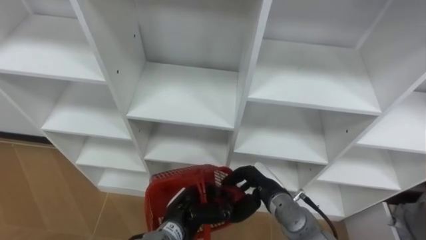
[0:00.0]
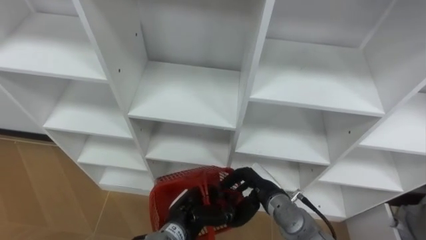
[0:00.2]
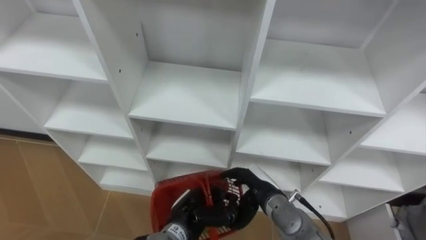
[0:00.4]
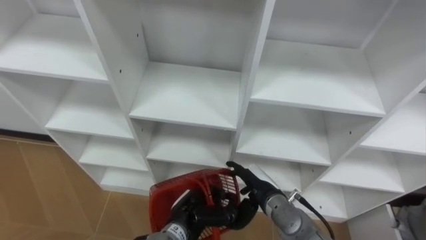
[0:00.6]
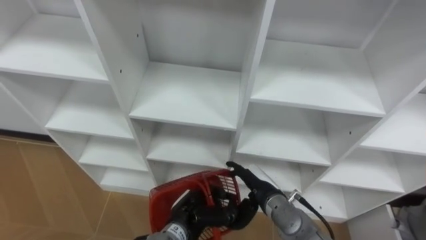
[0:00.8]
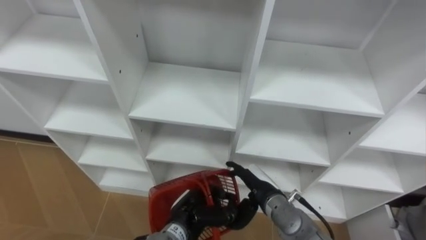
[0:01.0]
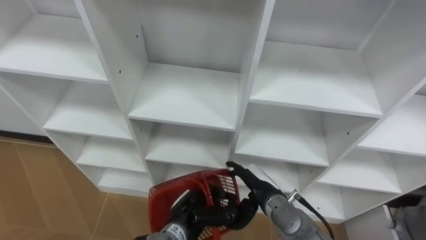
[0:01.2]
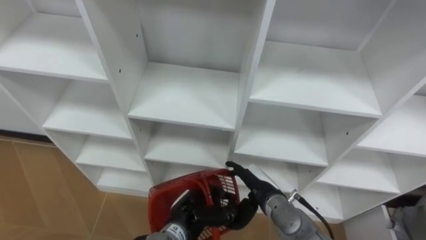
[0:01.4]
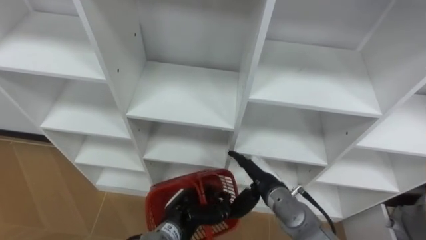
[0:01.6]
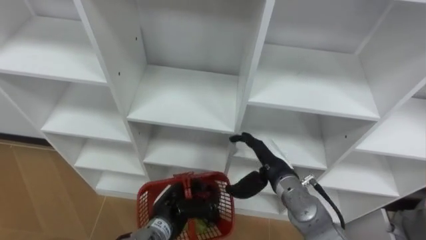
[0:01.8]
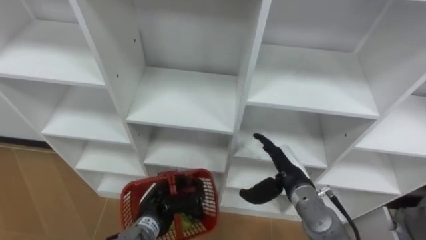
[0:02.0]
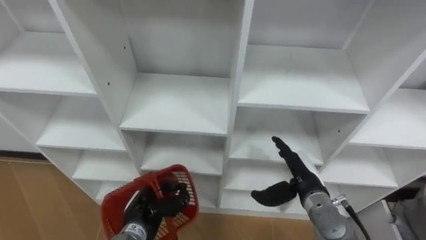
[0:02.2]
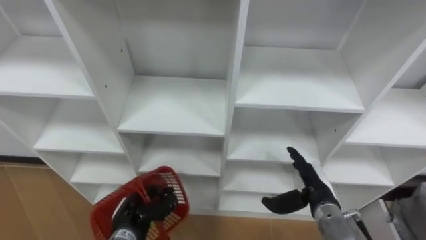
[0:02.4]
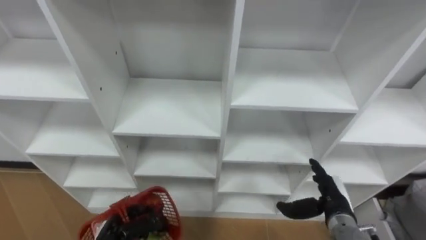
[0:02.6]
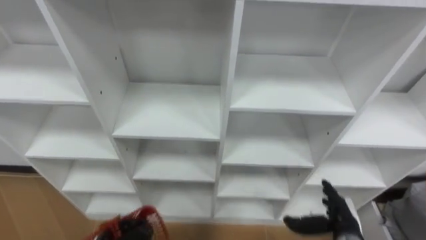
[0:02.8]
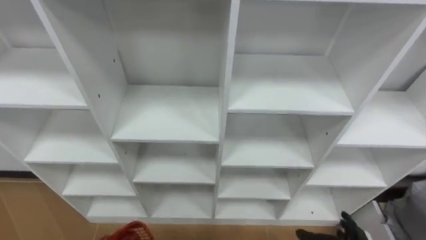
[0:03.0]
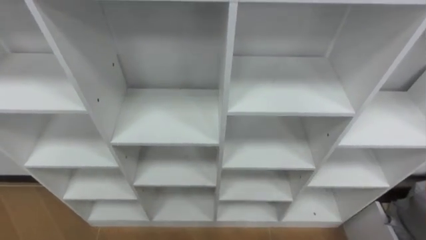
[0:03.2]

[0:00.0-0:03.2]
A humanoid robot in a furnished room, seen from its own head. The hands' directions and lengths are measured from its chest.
Task of the whole recording: Hold the basket and collect the fruits from 3 different cells of the closet into it.
0:00.0 to 0:01.6: The right hand opens its fingers.

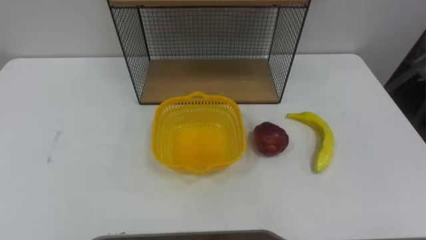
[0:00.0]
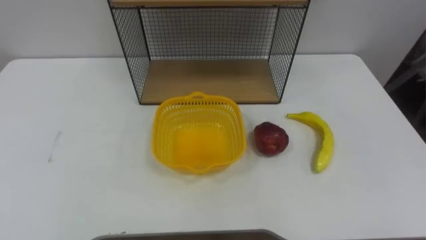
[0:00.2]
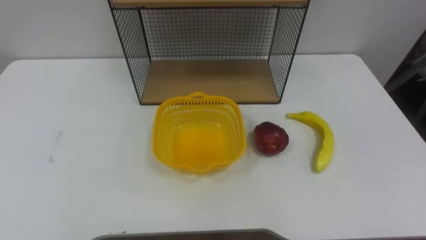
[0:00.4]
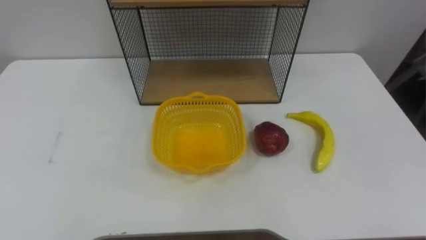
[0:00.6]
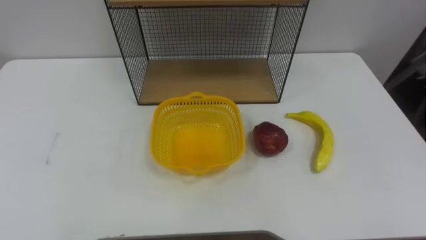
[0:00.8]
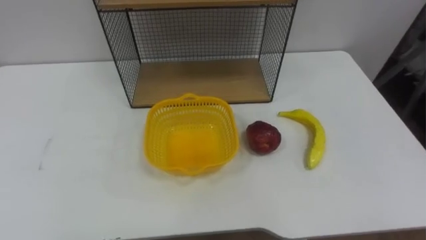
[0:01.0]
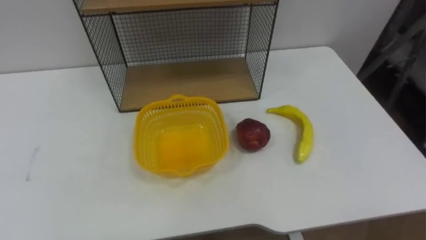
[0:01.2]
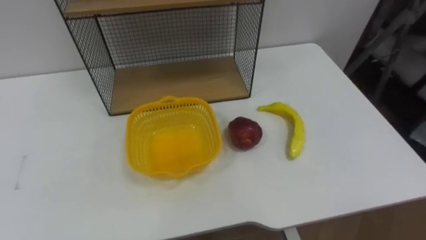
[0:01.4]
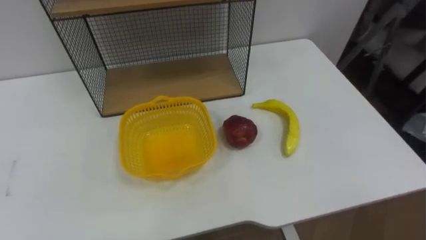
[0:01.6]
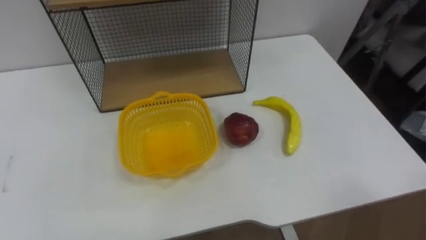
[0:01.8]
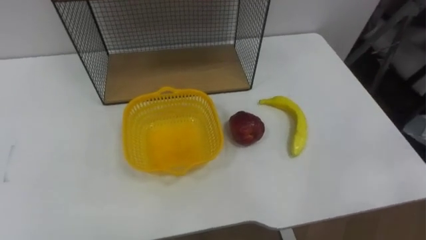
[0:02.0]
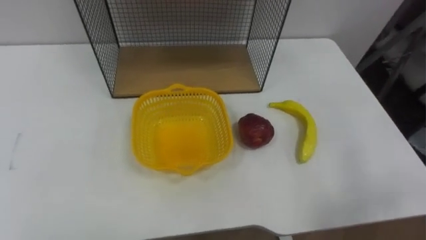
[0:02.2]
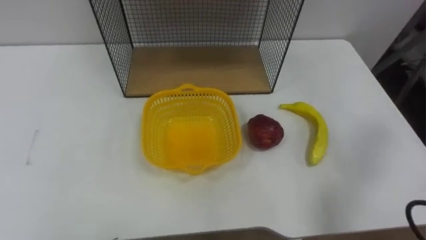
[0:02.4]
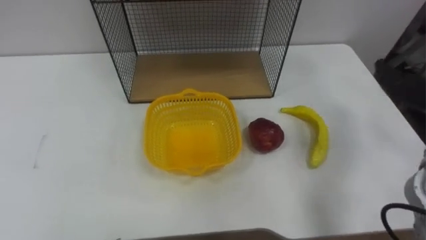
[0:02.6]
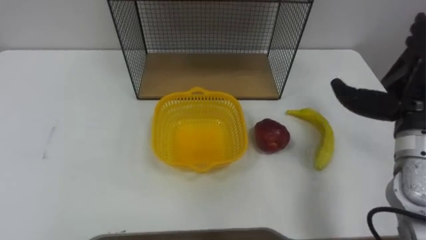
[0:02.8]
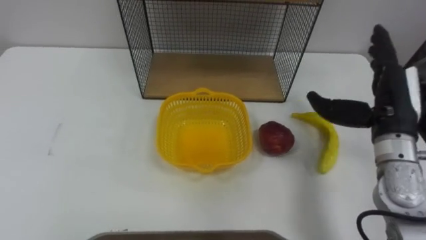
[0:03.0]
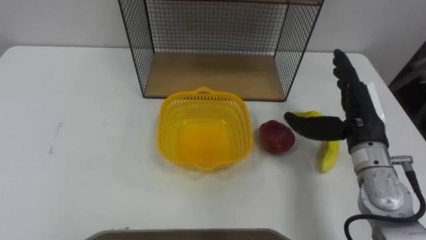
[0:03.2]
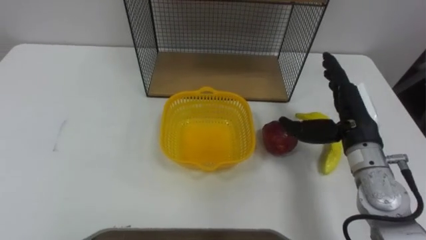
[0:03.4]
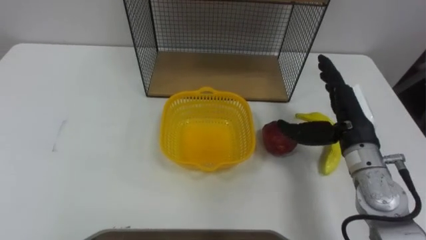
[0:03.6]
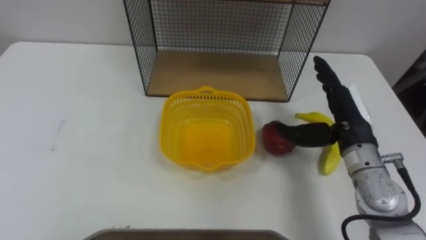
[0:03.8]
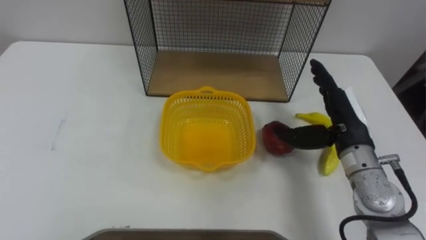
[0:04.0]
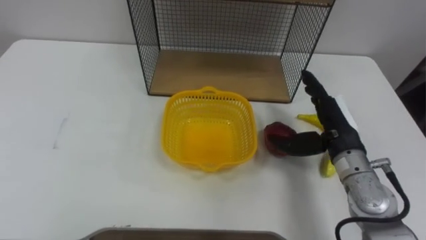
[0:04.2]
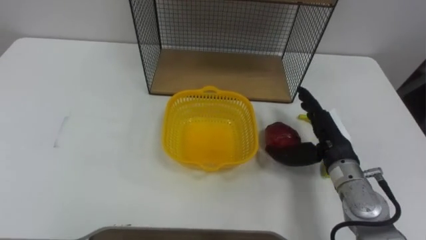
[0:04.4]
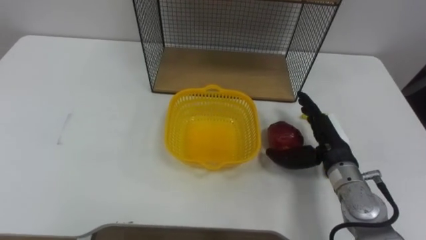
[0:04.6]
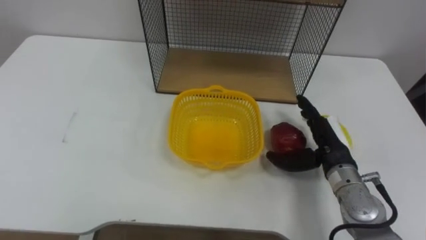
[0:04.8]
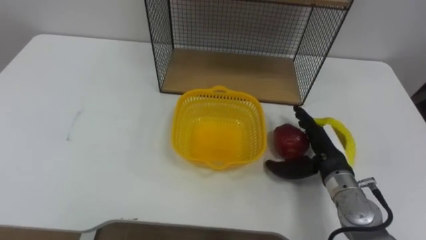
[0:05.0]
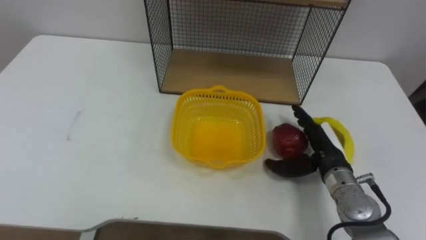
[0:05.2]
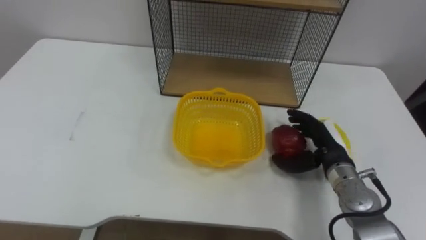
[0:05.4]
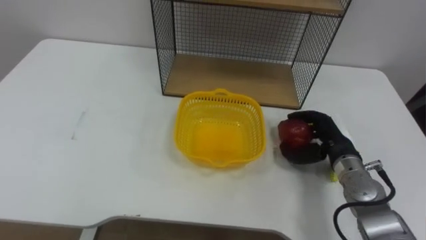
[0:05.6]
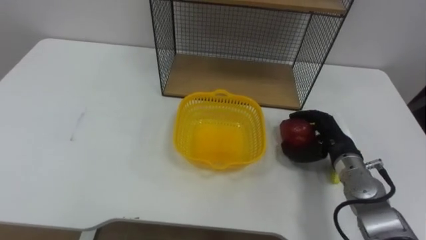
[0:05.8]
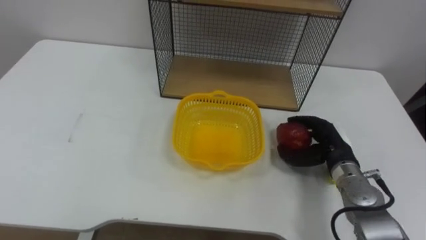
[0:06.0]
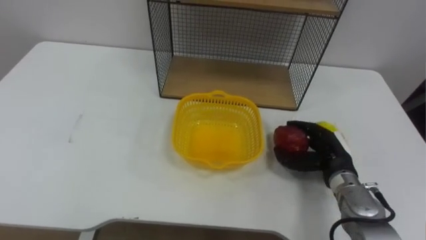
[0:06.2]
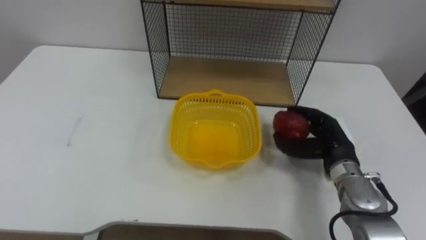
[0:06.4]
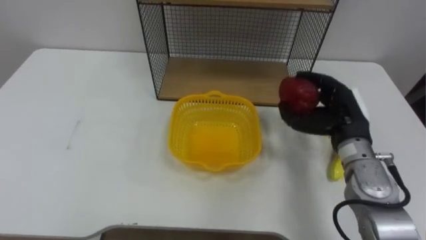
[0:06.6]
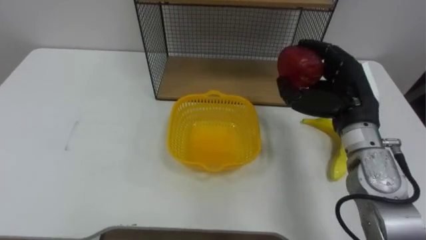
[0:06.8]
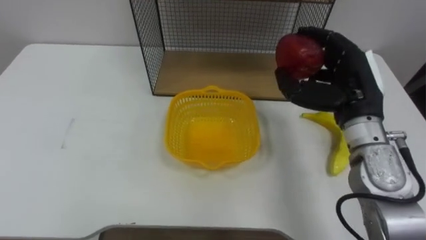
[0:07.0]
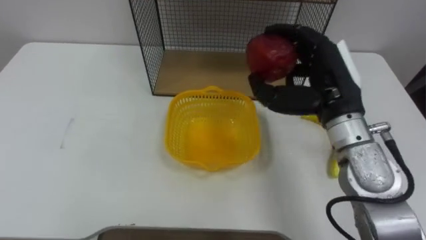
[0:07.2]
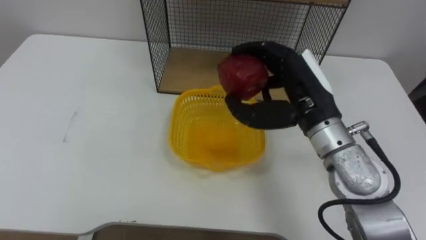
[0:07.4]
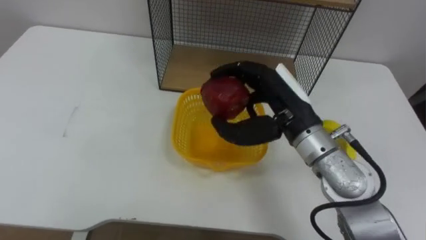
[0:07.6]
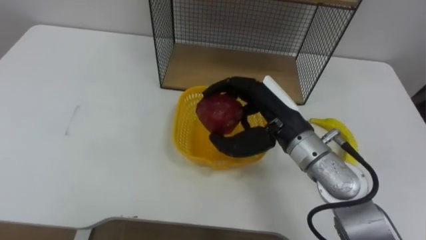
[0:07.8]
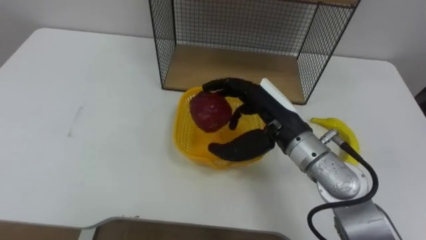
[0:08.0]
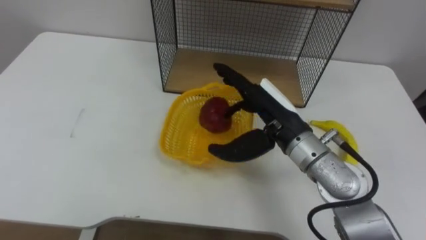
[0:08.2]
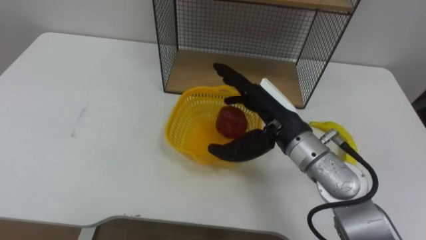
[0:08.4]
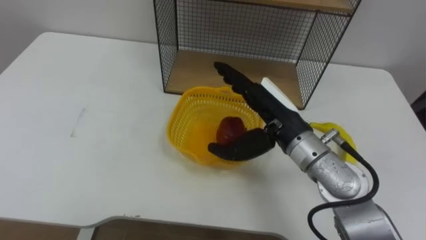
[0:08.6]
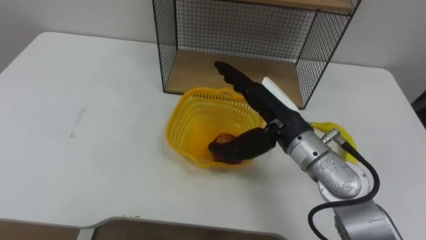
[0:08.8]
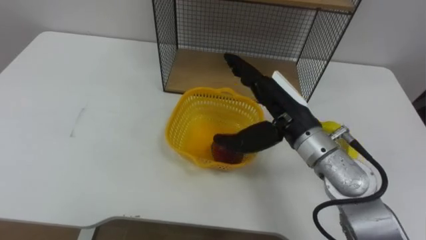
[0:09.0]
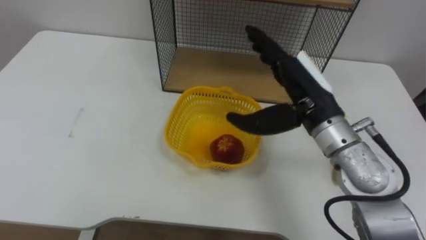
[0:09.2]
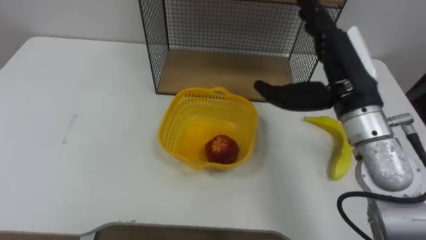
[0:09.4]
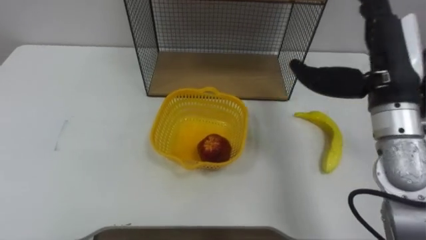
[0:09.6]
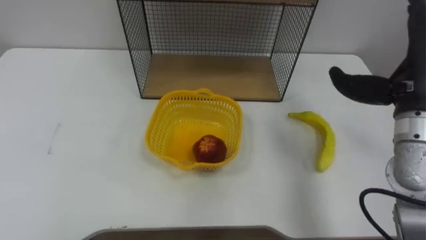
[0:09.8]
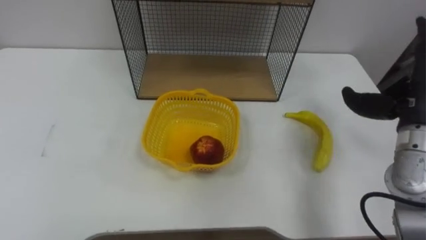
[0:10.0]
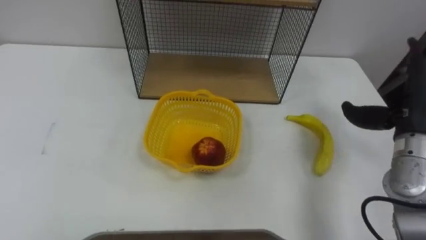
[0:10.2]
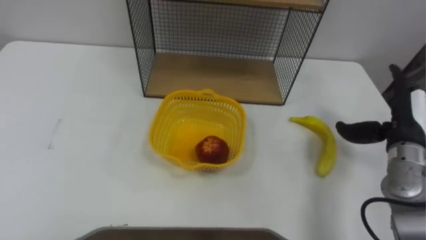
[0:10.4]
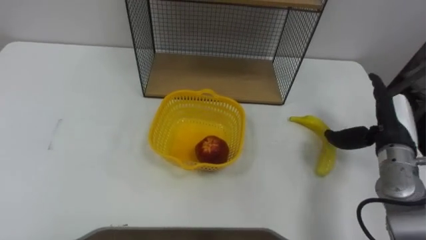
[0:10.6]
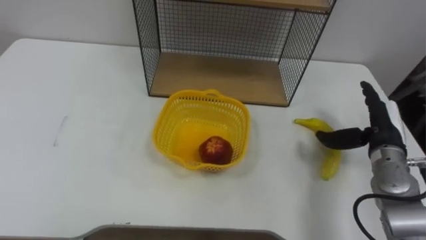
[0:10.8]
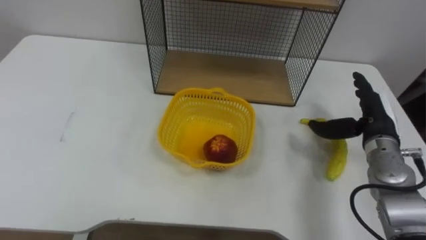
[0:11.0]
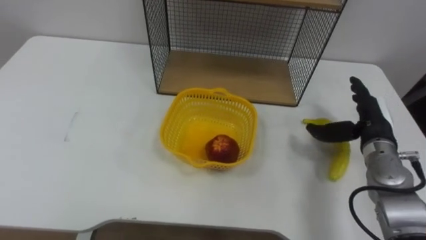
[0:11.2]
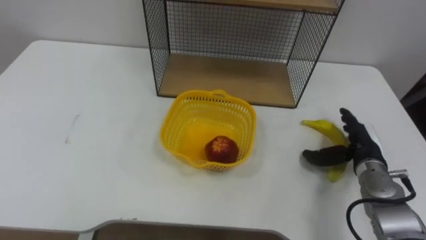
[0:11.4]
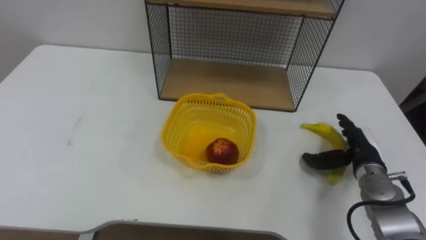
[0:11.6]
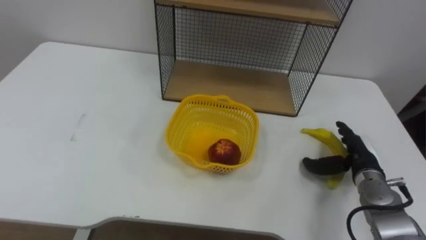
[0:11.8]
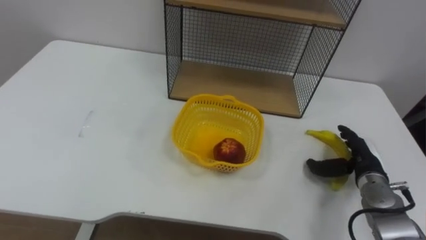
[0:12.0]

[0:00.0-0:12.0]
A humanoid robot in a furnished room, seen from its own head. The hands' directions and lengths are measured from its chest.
Task of the whole recording: Put the fruit on the table into the basket, then place the basket on the shelf.
0:03.0 to 0:04.4: The right hand heads downward and to the left, covering roughly 10 cm.
0:04.4 to 0:06.0: The right hand shifts some 5 cm downward, and closes up.
0:06.0 to 0:07.6: The right hand heads upward and to the left, covering about 20 cm.
0:07.6 to 0:09.0: The right hand opens up.
0:10.4 to 0:12.0: The right hand shifts some 15 cm downward.

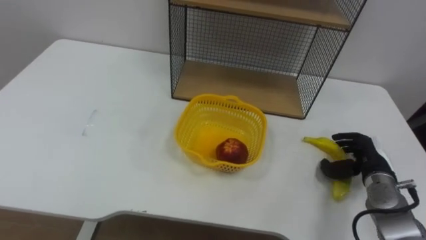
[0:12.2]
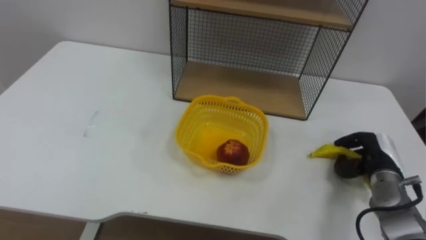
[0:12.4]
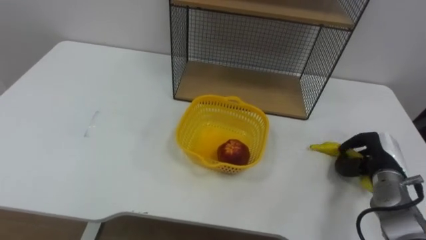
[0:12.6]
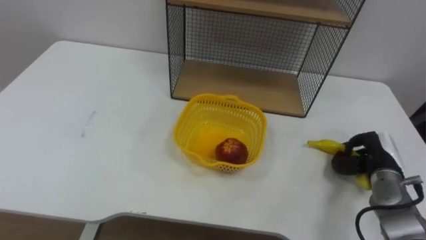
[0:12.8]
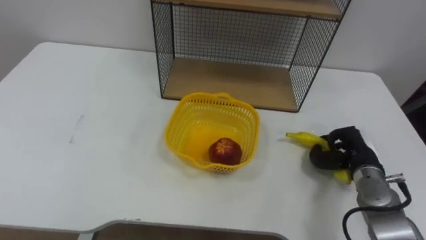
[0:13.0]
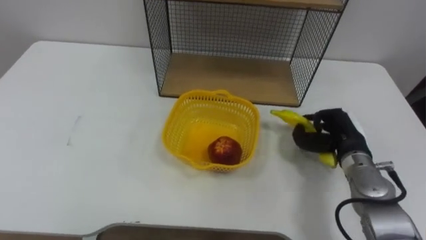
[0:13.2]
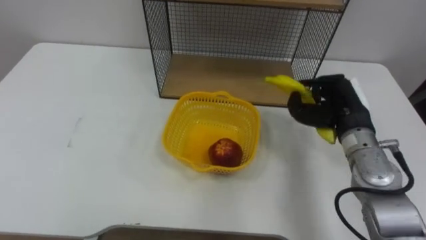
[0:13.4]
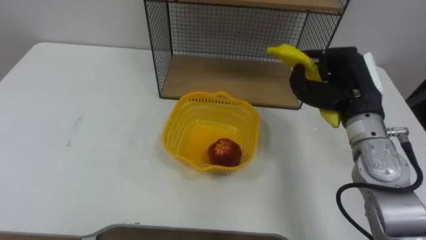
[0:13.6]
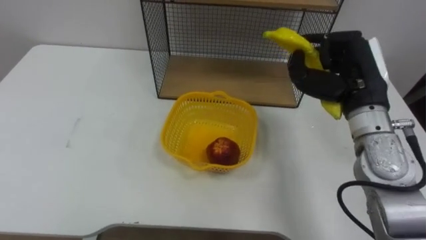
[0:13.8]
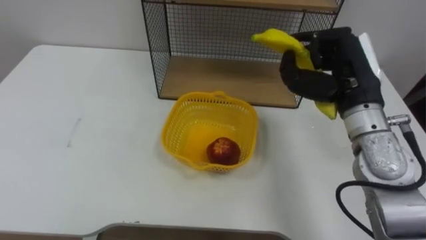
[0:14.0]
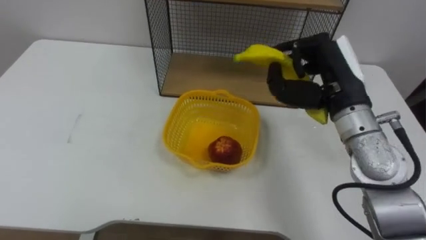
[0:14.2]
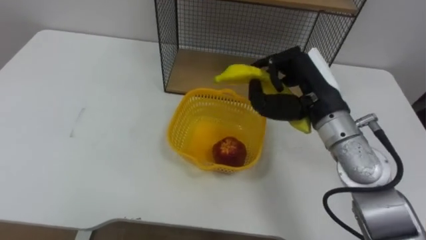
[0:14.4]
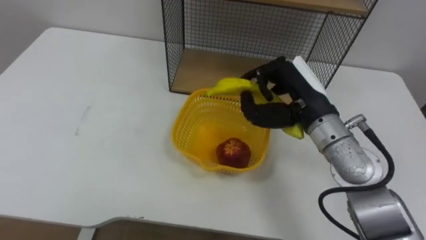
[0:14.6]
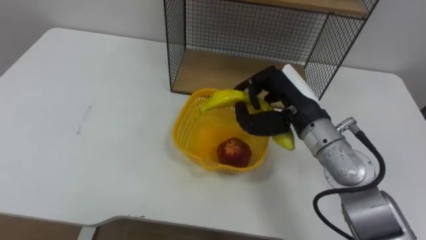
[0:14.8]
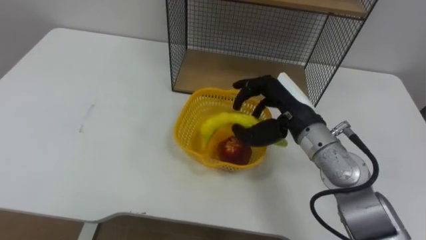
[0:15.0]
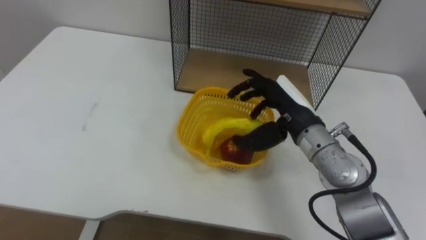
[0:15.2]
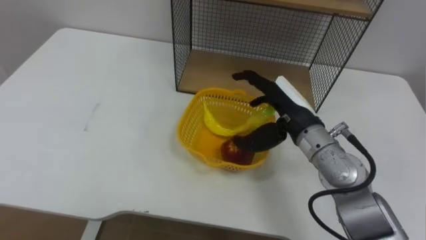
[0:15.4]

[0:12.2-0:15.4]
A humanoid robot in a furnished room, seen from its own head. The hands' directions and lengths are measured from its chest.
Task of the whole recording: Put the fruit on the table into the basket, then place the basket on the shelf.
0:12.2 to 0:13.8: The right hand shifts roughly 25 cm upward and to the left, and closes its fingers.
0:13.8 to 0:15.4: The right hand moves to the left and downward, roughly 10 cm, and opens up.
